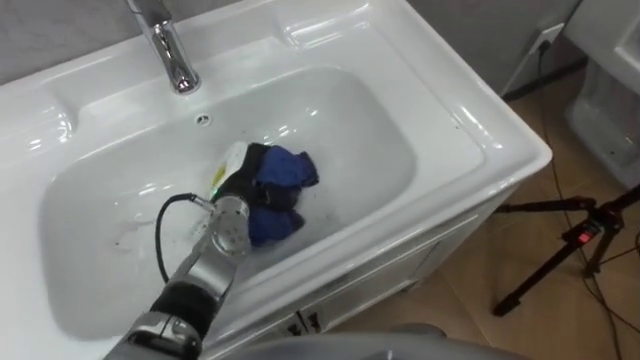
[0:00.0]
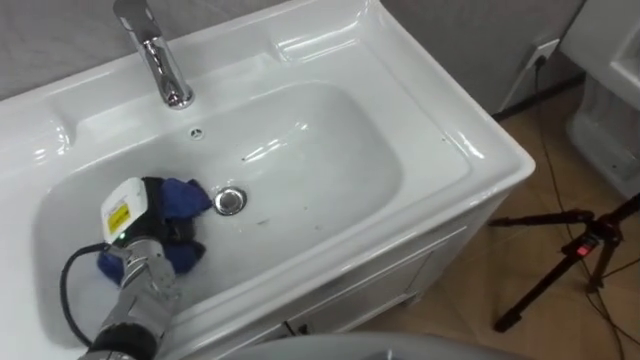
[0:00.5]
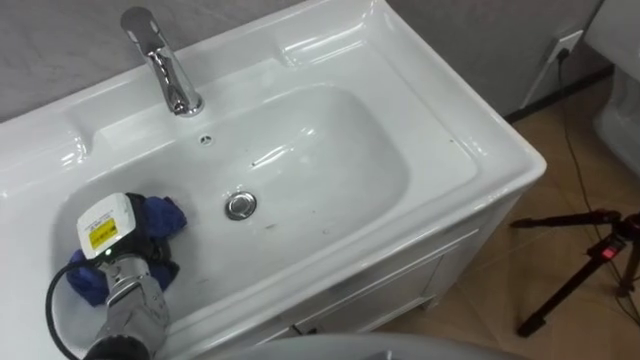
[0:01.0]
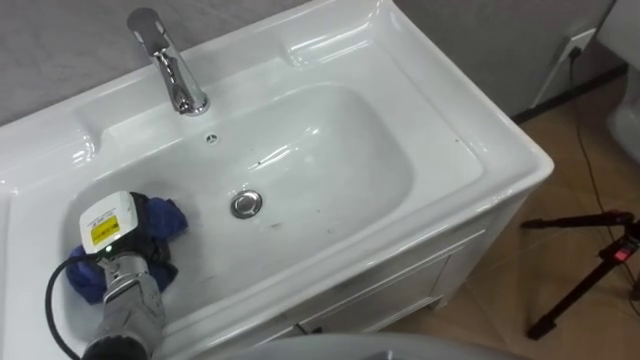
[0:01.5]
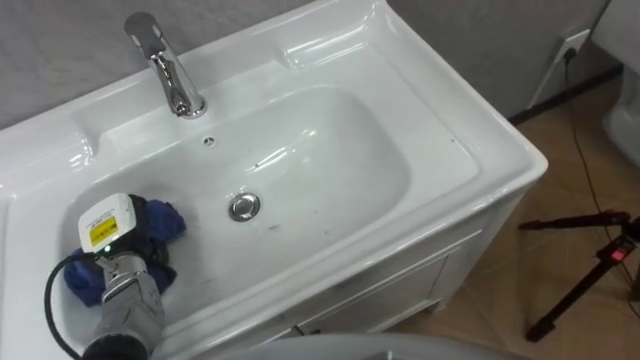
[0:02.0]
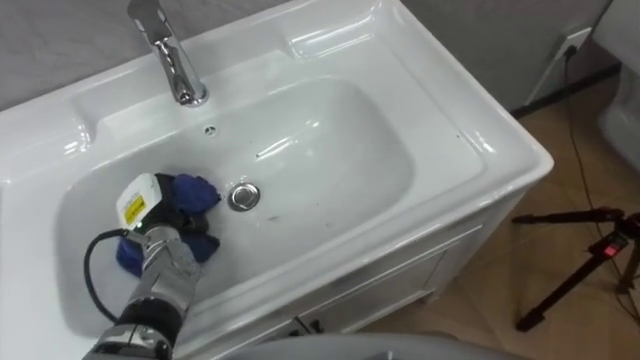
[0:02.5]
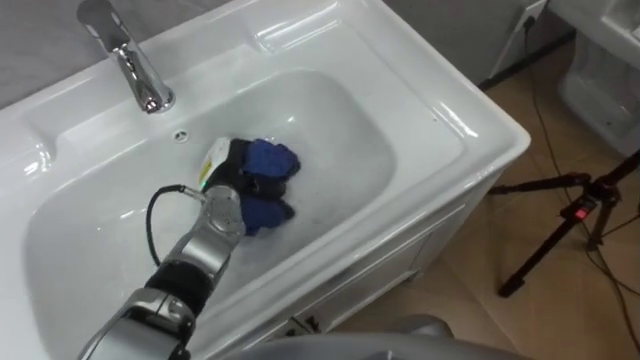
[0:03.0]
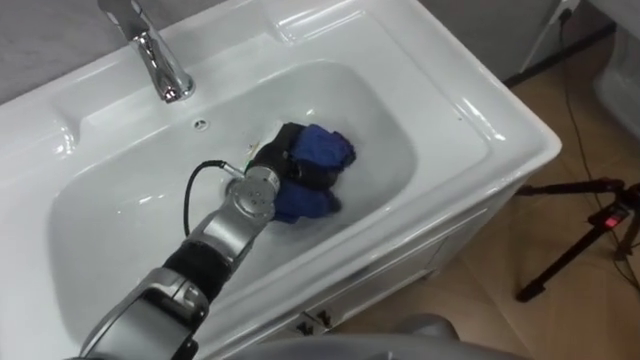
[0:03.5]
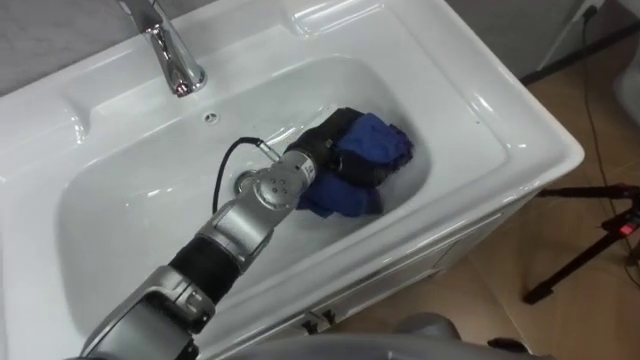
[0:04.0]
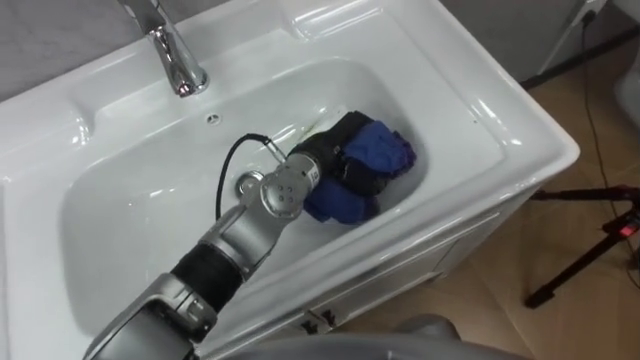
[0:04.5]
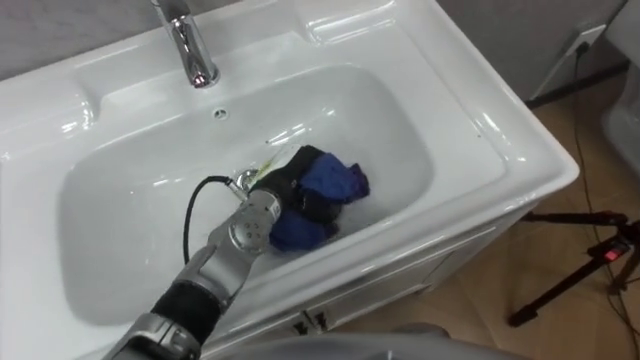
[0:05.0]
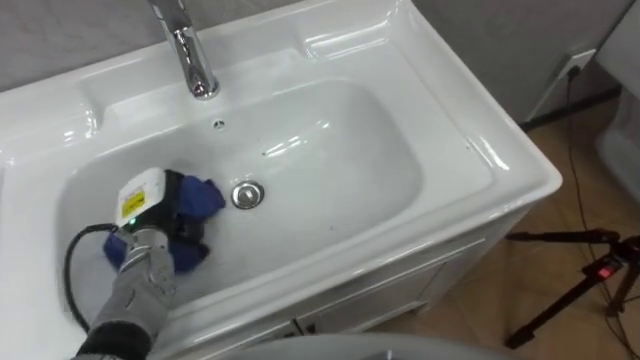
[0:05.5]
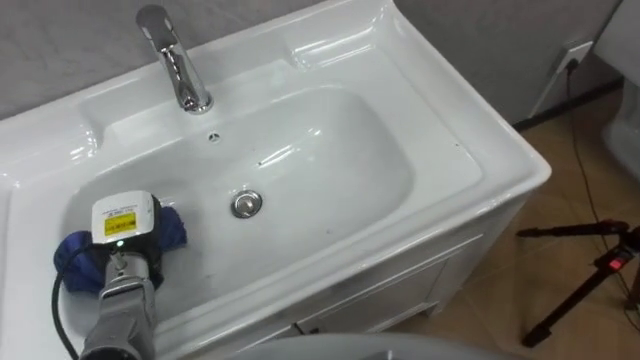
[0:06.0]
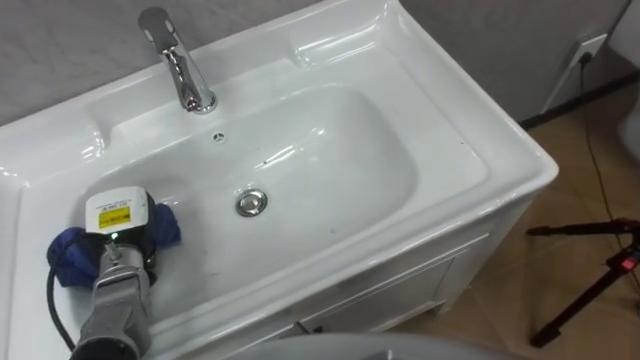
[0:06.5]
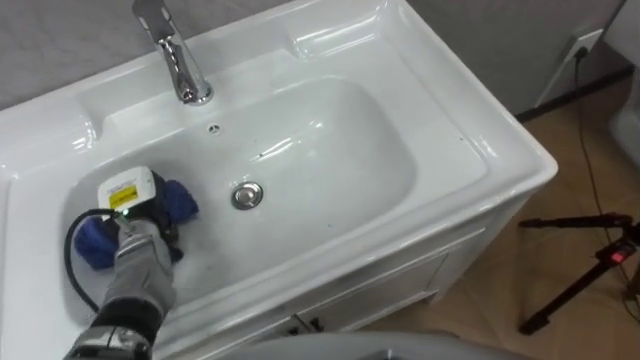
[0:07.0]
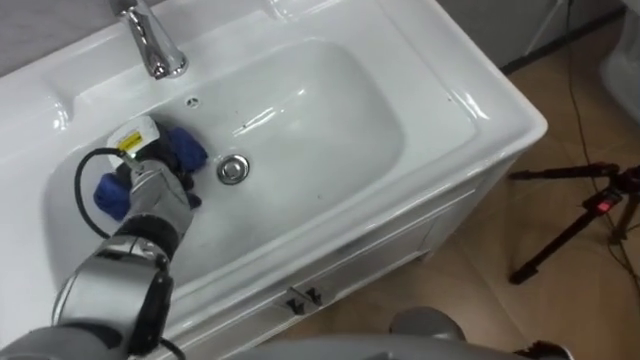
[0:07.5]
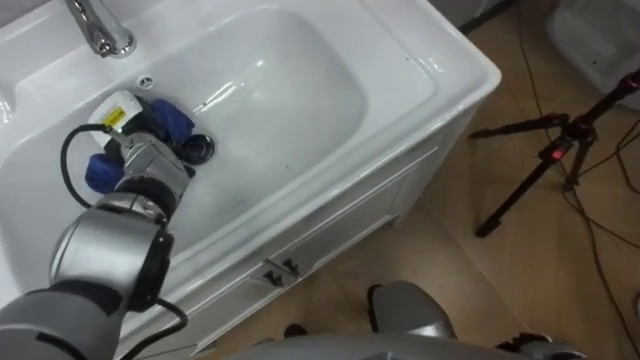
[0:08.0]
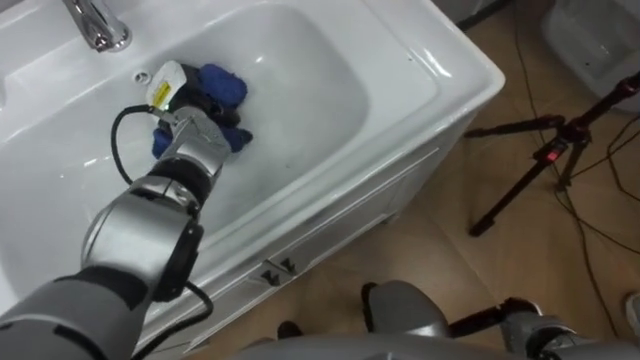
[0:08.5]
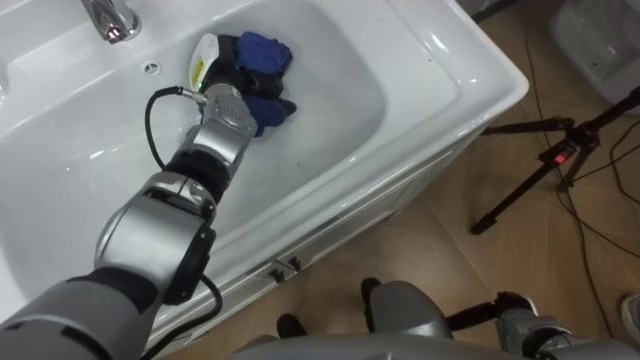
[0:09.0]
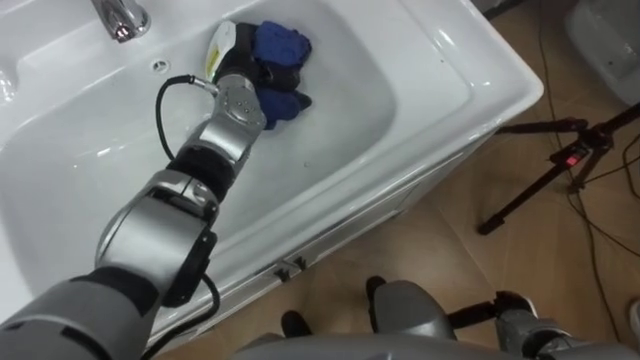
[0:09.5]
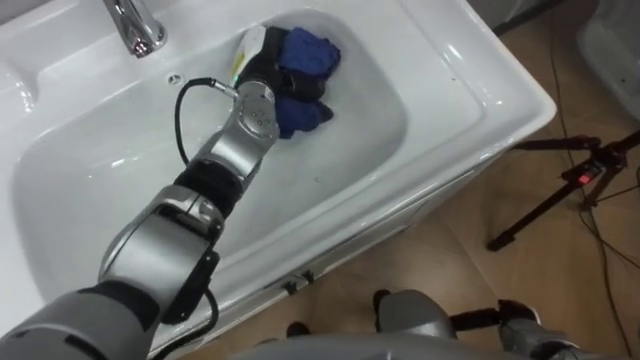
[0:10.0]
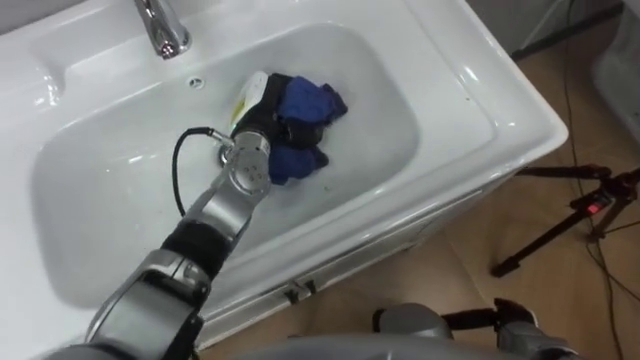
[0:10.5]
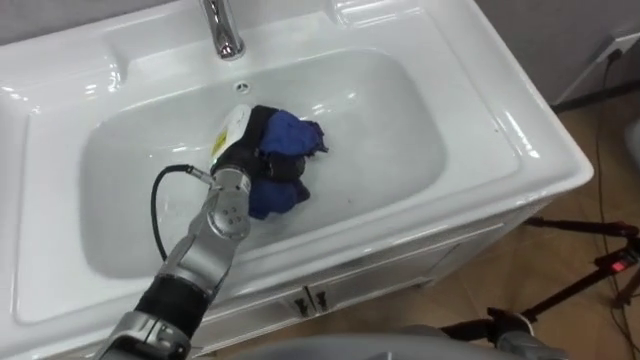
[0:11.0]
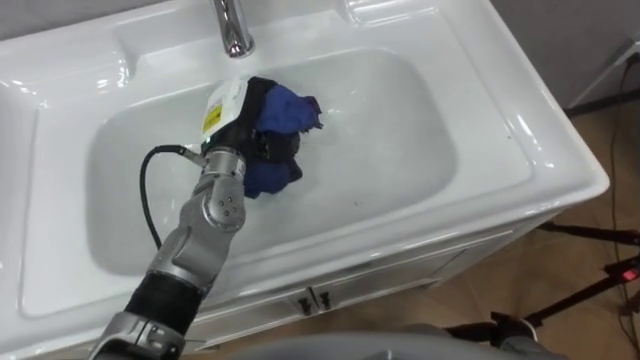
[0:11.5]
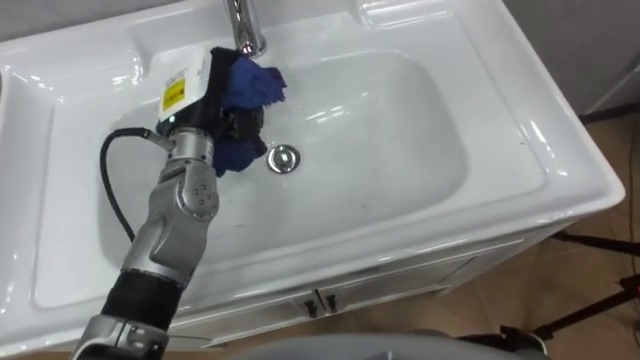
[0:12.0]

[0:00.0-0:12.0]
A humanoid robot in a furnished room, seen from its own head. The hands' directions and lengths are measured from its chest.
Task of the whole recording: Use the cloth on the right to wipe away the black stain in the sink.
0:00.0 to 0:02.0: The left hand heads to the left and backward, covering roughly 20 cm.
0:02.0 to 0:04.0: The left hand moves to the right, approximately 30 cm.
0:04.0 to 0:06.0: The left hand is displaced to the left by roughly 30 cm.
0:06.0 to 0:08.0: The left hand is displaced forward by about 15 cm.
0:08.0 to 0:10.0: The left hand shifts about 20 cm to the right.
0:10.0 to 0:12.0: The left hand is displaced to the left and backward by about 10 cm.

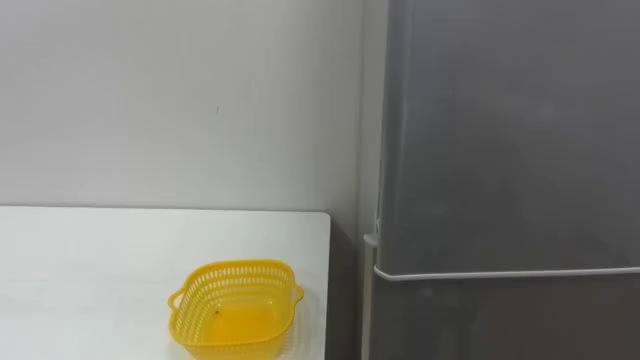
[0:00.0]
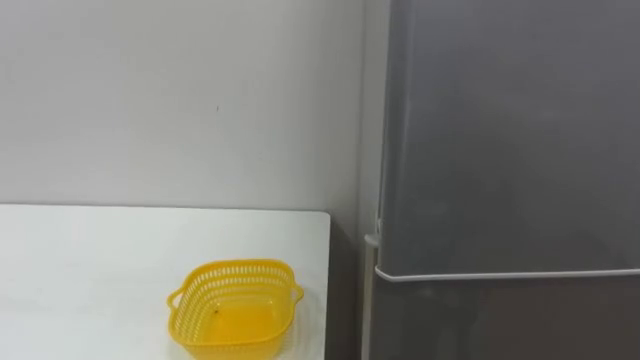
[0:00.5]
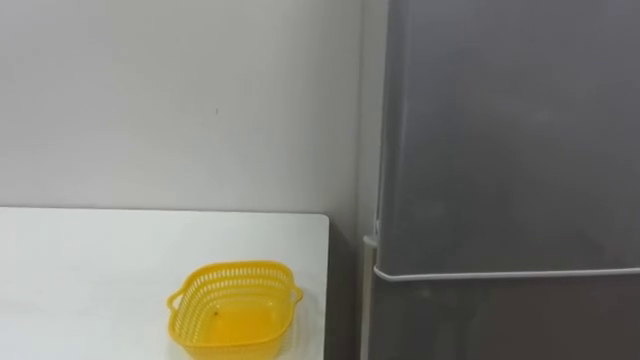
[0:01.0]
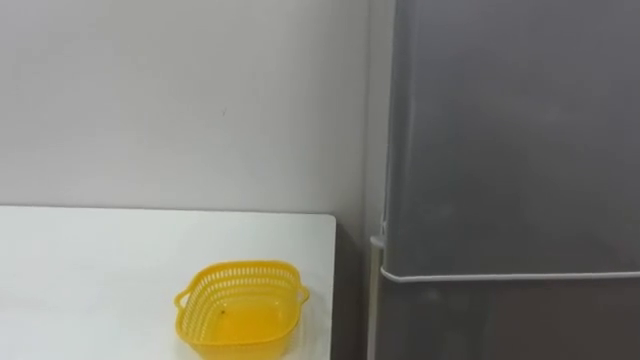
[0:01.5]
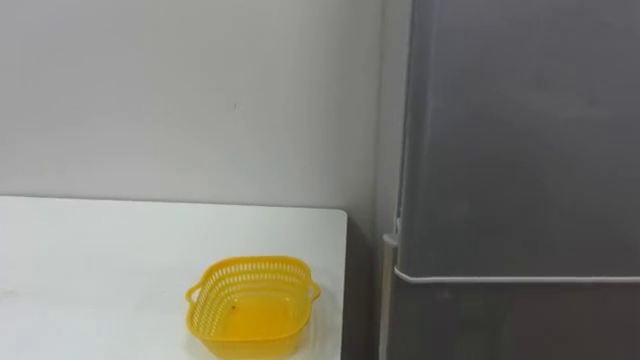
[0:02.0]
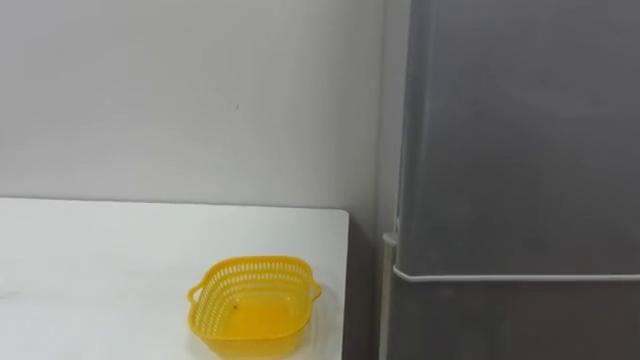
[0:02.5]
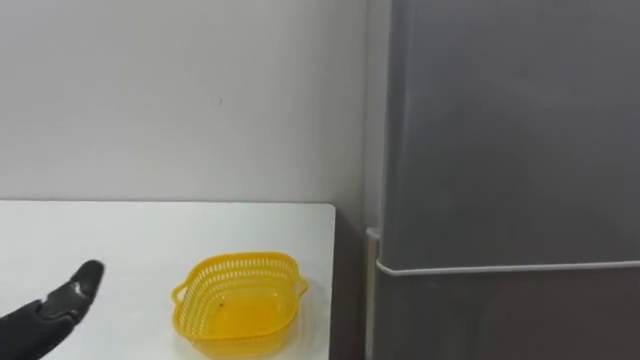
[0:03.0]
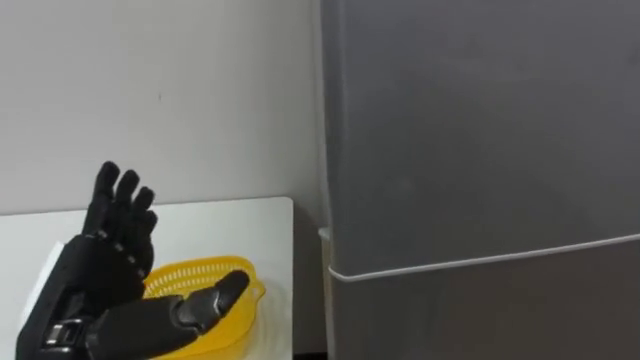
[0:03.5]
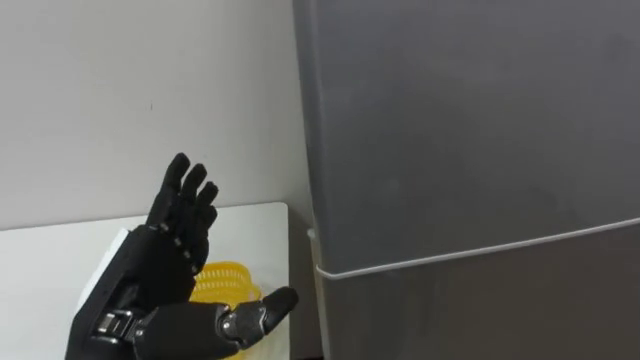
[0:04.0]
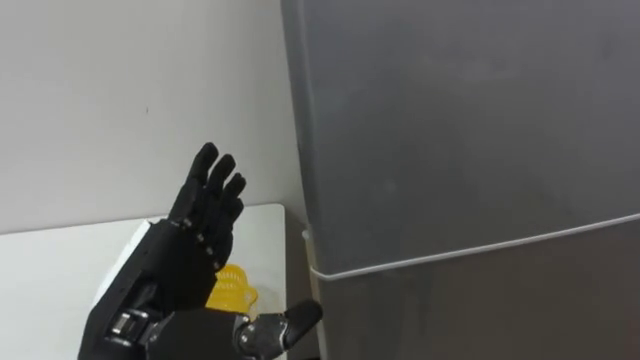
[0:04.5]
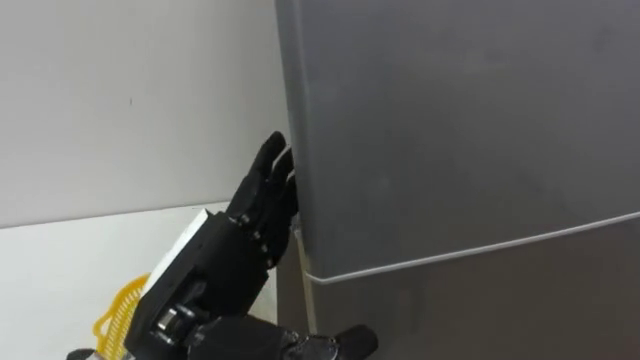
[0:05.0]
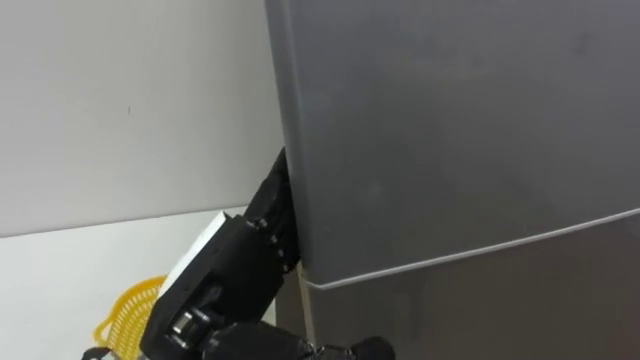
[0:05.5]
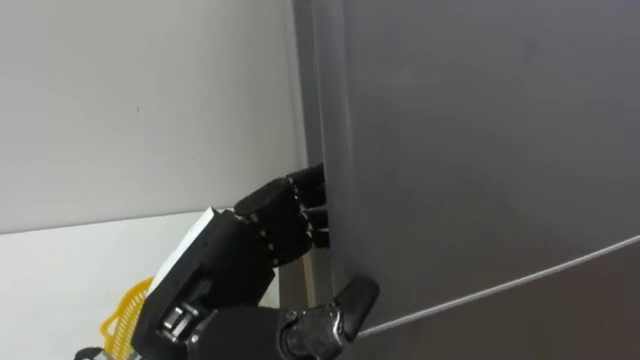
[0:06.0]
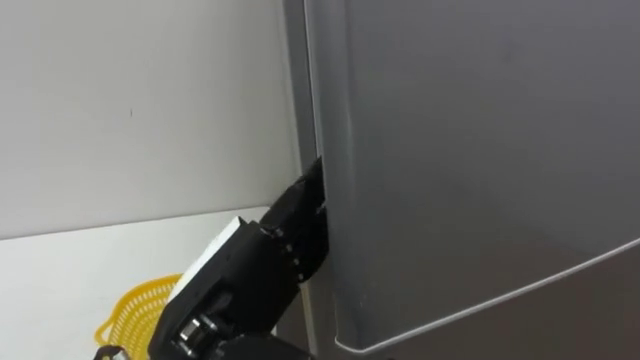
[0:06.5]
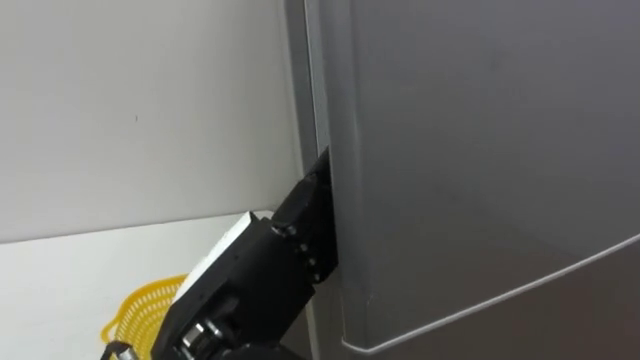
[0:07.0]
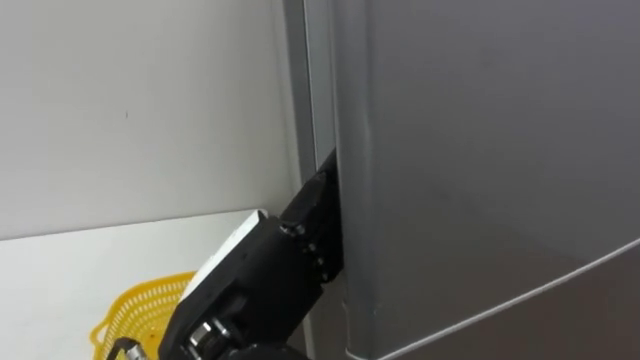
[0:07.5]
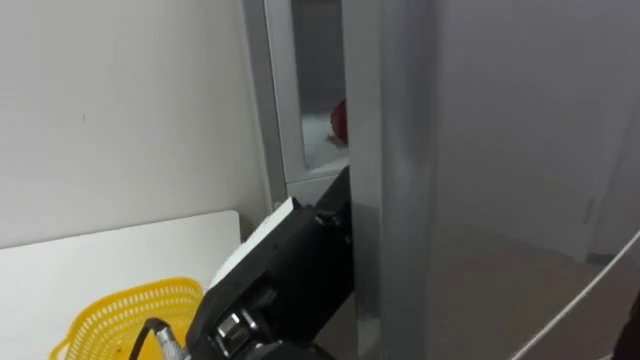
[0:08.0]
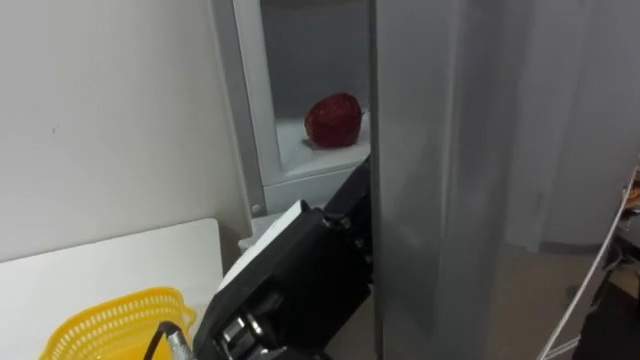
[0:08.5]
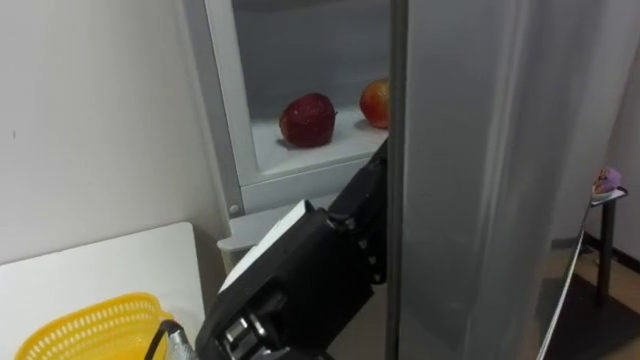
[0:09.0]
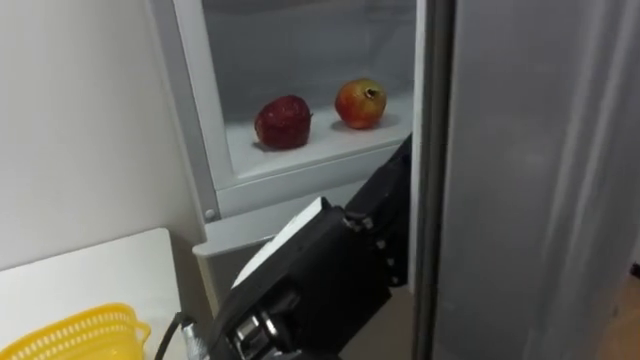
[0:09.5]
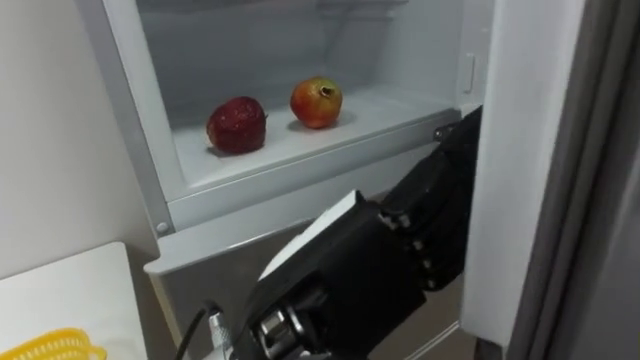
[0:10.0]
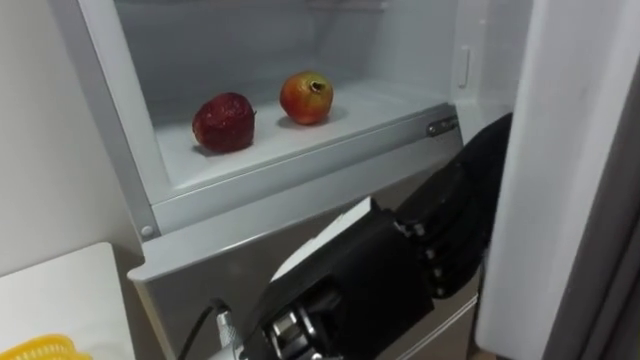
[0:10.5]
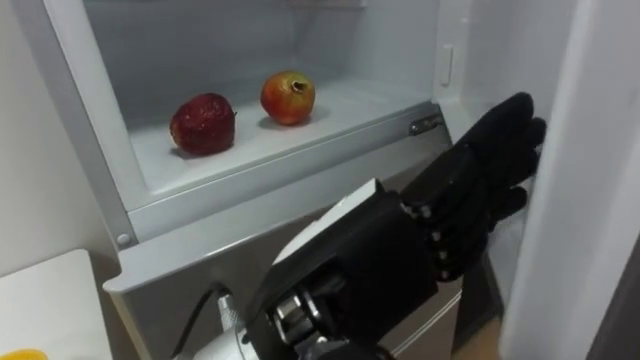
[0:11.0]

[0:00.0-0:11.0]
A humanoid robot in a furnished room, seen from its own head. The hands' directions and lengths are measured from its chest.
Task of the whole recording: Open the refrigerator door, take out the apple and the pomegranate, place them in the fruit basket on the left, and close the refrigerator door.
0:03.5 to 0:05.5: The left hand travels to the right by about 10 cm.
0:05.5 to 0:07.5: The left hand closes, then opens again.
